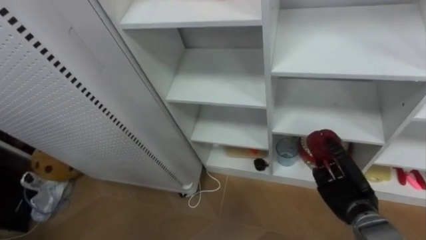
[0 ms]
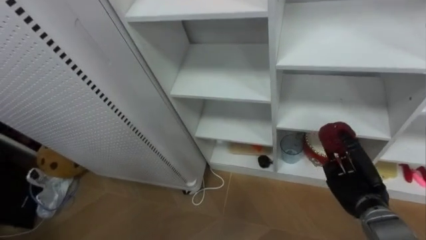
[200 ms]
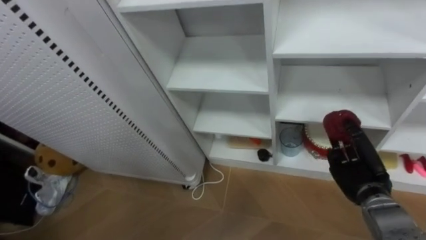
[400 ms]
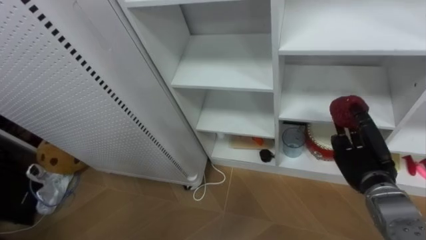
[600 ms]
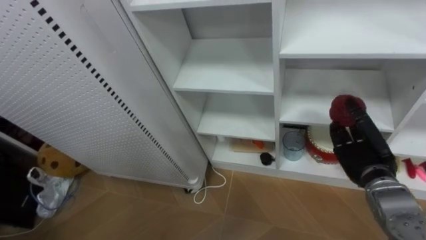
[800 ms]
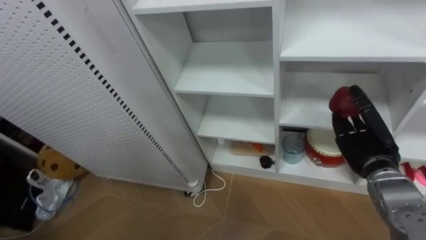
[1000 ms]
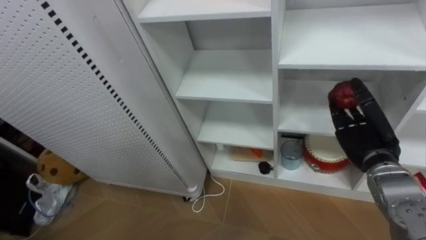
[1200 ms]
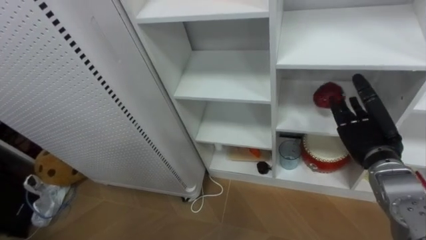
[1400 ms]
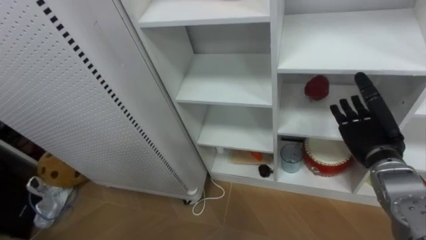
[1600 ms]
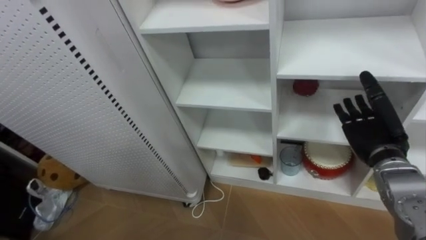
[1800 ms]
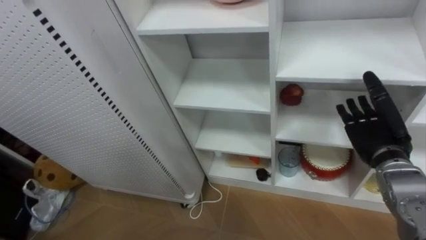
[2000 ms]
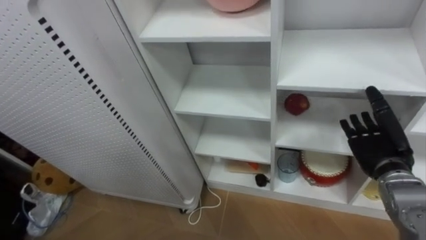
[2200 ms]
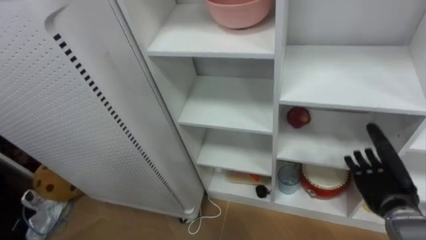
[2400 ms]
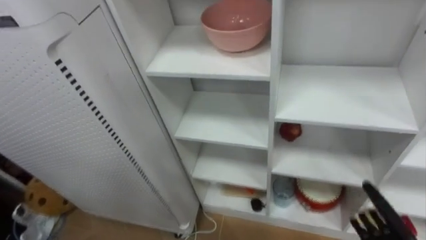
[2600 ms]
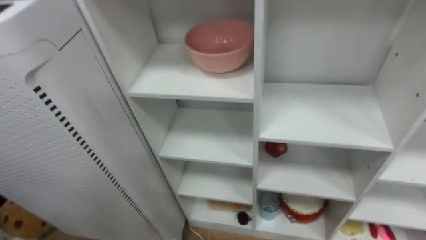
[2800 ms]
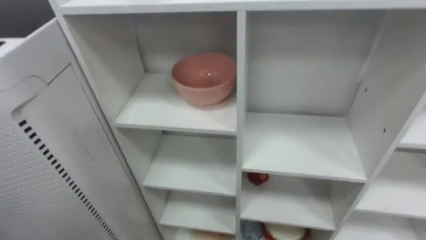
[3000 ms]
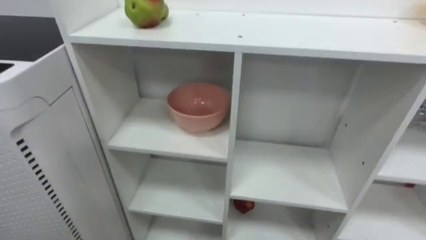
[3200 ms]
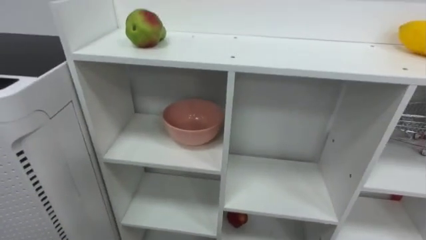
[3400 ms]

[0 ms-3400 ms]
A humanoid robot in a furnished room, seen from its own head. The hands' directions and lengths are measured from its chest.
Task of the whole recording: Put the apple in the cell in the second column from the left and the second row from the top.
0 ms to 1600 ms: The right hand goes approximately 10 cm upward, and opens its fingers.

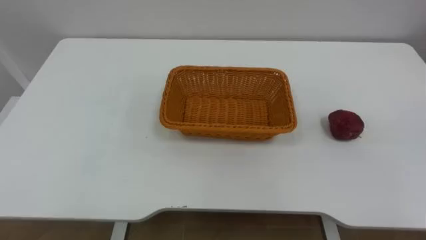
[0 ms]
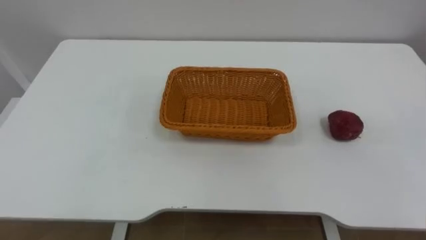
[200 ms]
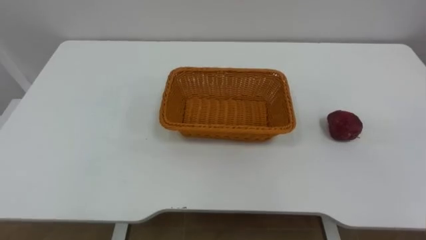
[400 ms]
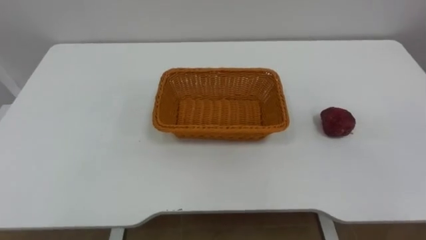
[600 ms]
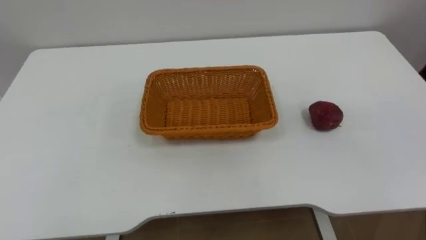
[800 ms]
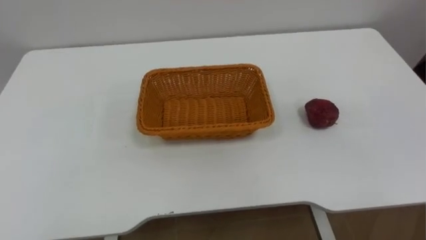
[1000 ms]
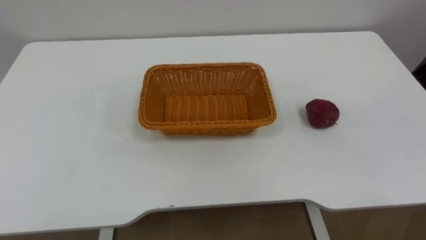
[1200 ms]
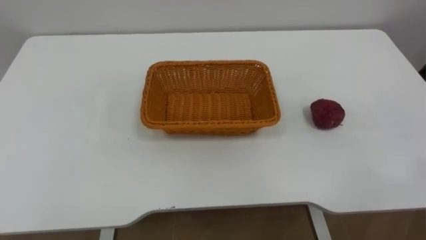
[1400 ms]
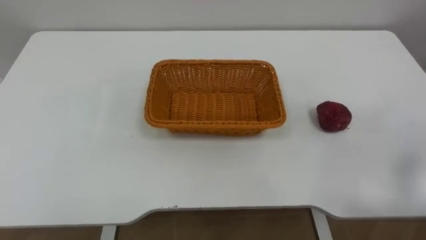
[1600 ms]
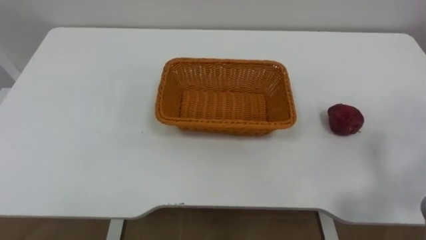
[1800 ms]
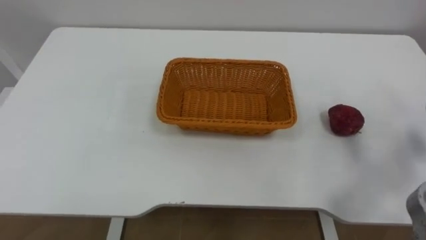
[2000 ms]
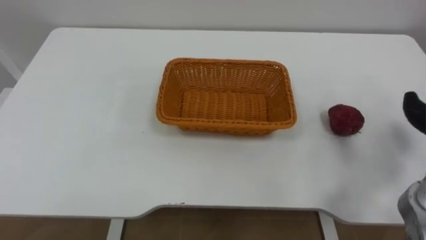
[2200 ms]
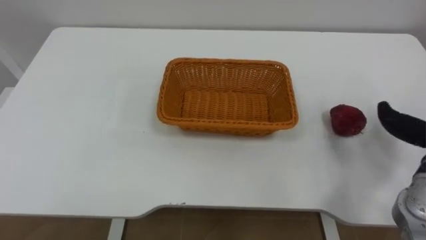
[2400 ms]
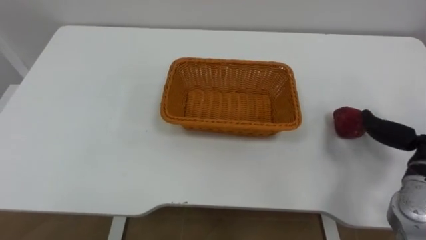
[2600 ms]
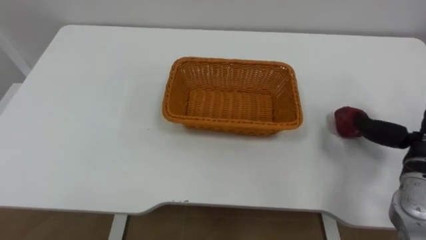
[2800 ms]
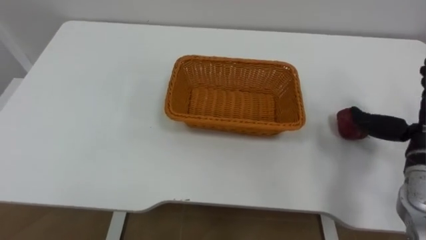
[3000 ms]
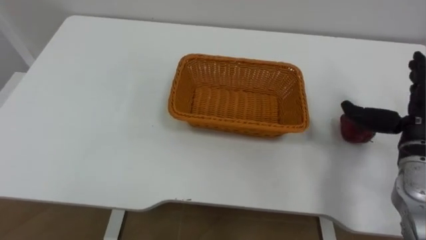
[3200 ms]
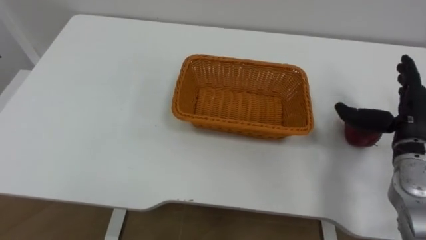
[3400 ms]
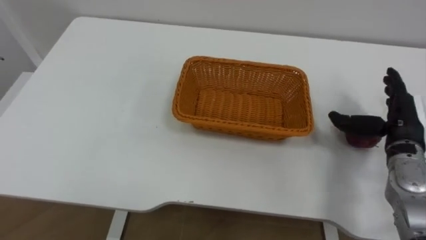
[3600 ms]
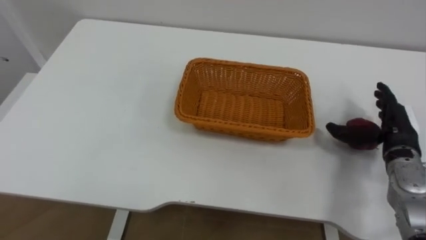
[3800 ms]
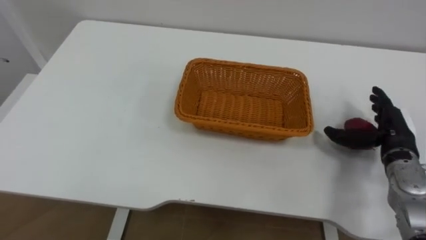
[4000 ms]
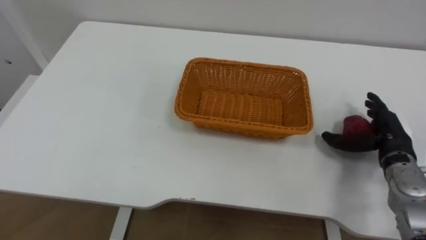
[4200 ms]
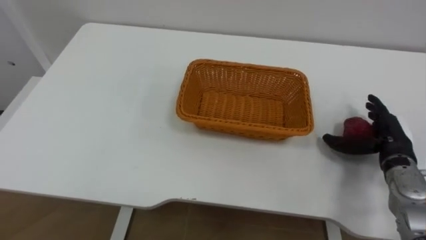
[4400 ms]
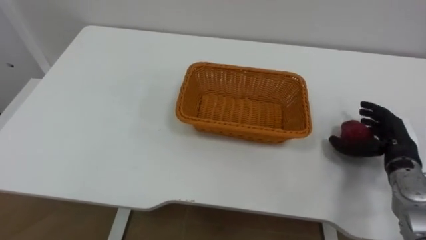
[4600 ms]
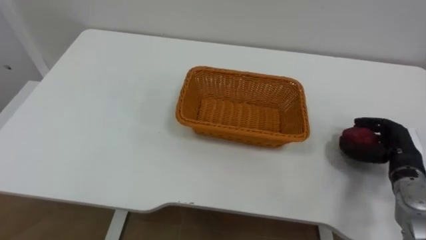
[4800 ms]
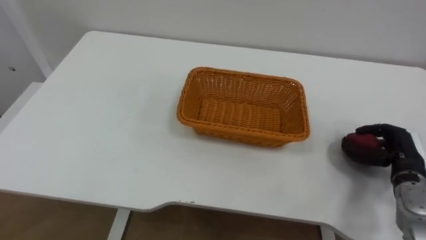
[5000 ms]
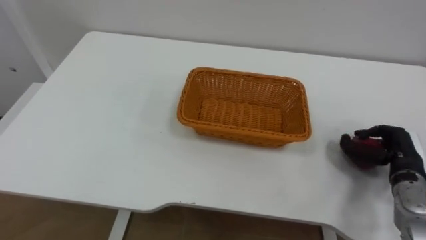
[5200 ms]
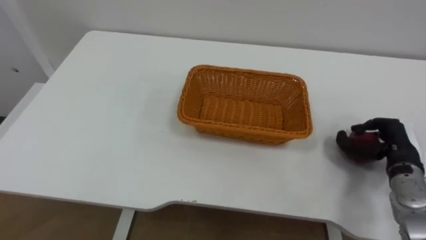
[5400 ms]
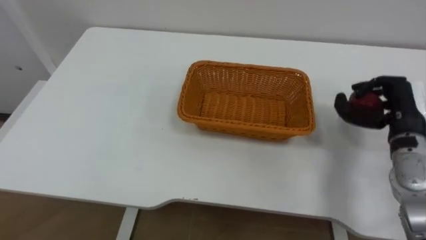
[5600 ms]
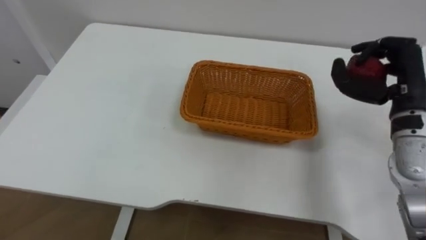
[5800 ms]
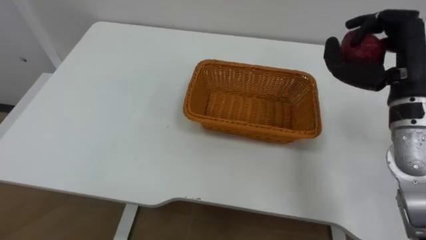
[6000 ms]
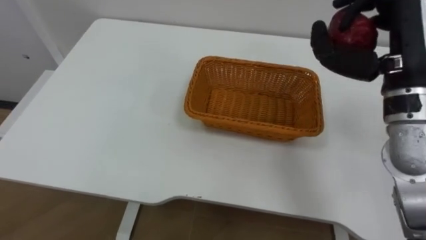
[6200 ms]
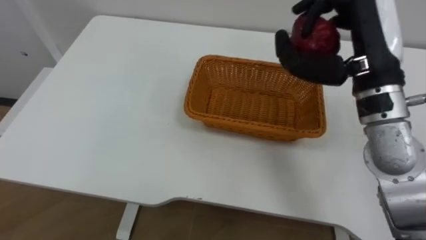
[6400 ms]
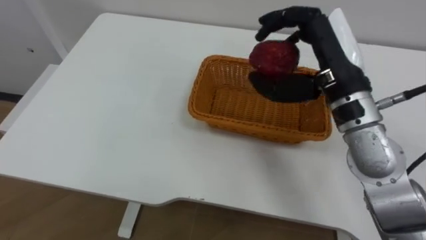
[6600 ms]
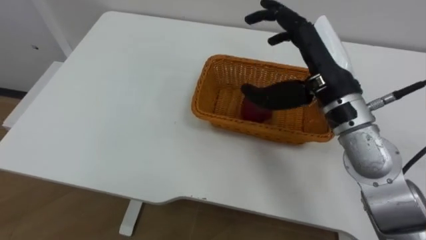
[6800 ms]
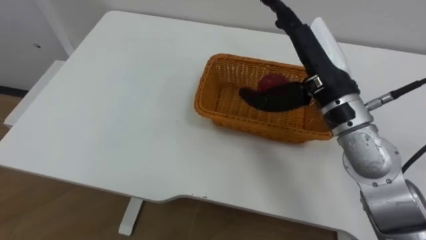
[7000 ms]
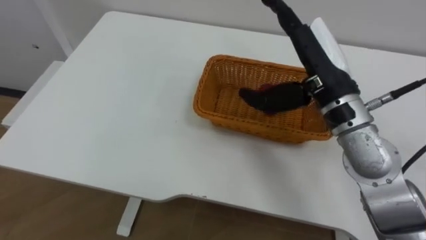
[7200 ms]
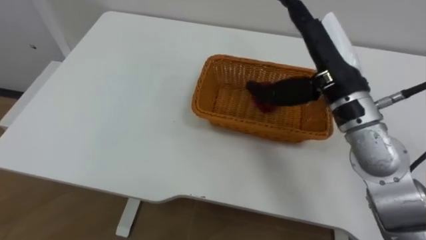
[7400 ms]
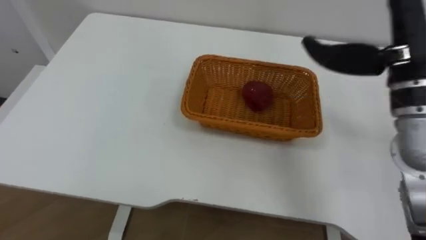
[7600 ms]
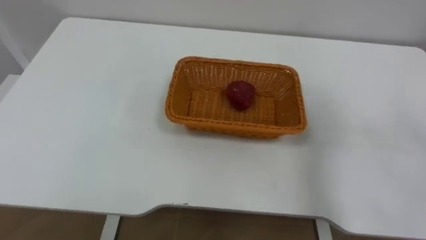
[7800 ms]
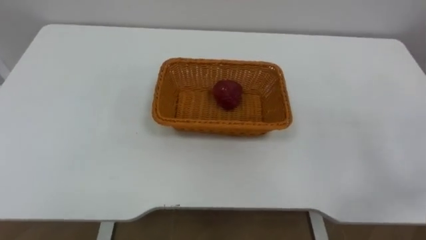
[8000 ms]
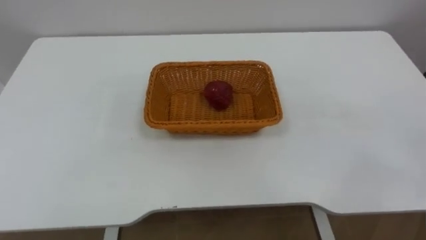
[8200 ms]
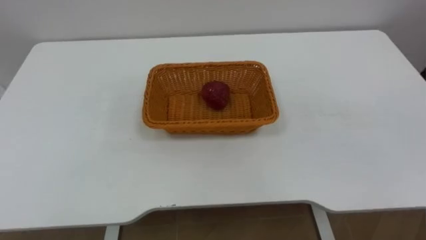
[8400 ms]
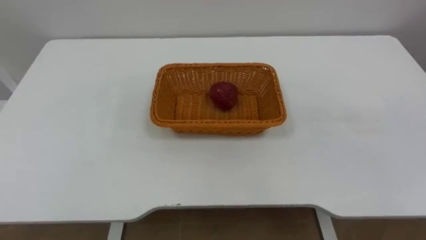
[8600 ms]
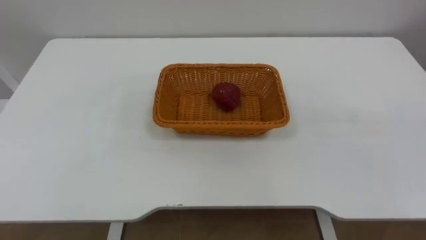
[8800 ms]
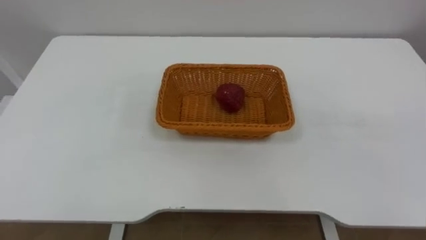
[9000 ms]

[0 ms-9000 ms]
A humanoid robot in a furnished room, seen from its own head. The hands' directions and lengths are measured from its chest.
Task of the whole recording: Pick the apple and place it in the box.
3000 ms to 4400 ms: The right hand moves downward, some 10 cm.
4400 ms to 6000 ms: The right hand heads upward, covering roughly 20 cm, and closes its fingers.
6000 ms to 7600 ms: The right hand travels upward by some 5 cm, and opens.

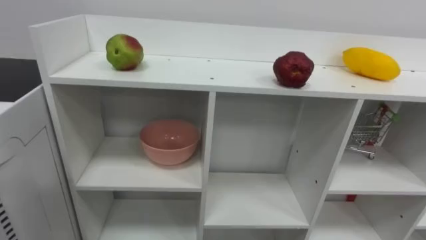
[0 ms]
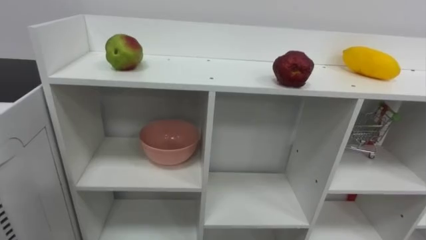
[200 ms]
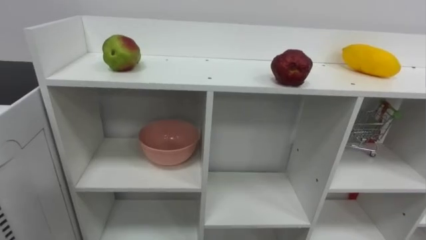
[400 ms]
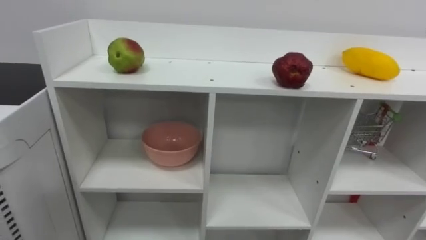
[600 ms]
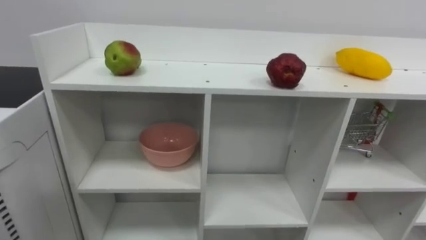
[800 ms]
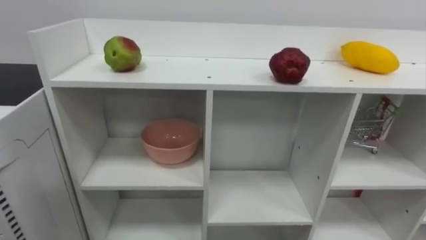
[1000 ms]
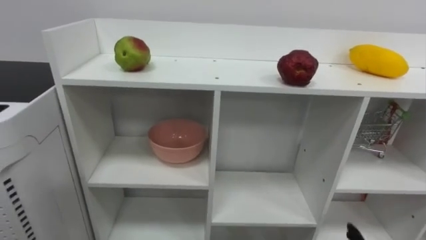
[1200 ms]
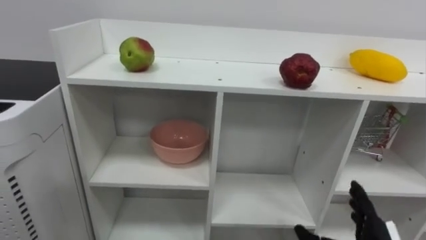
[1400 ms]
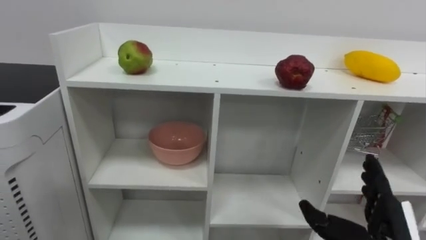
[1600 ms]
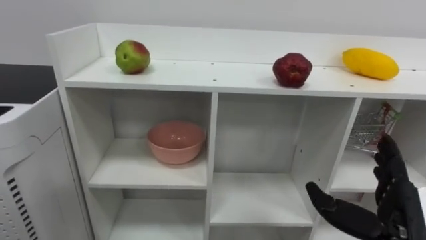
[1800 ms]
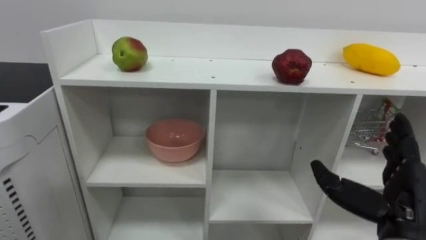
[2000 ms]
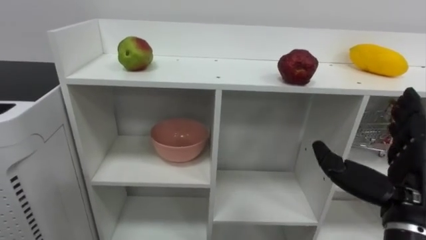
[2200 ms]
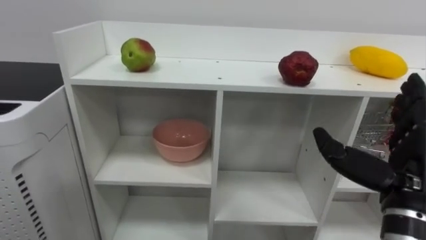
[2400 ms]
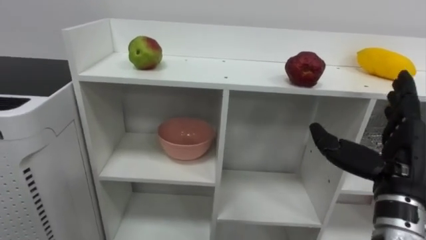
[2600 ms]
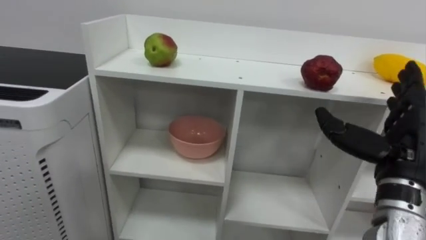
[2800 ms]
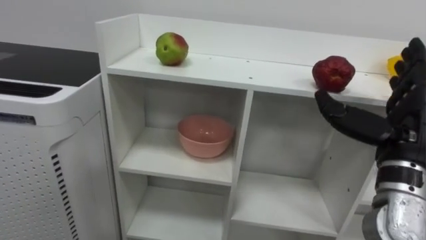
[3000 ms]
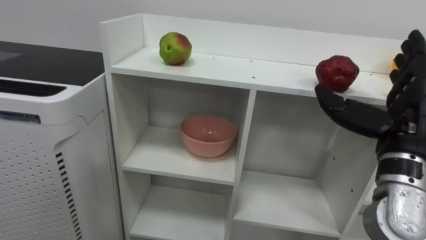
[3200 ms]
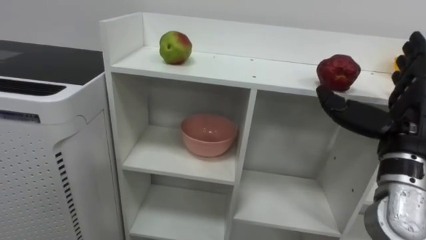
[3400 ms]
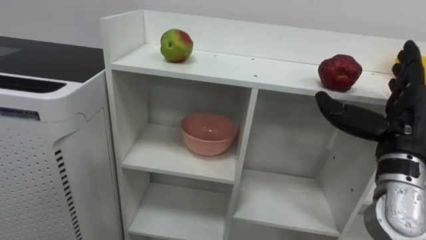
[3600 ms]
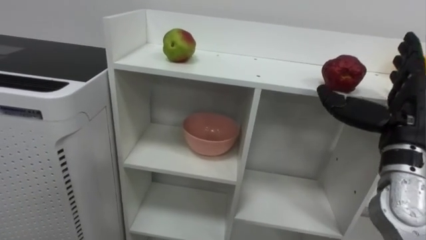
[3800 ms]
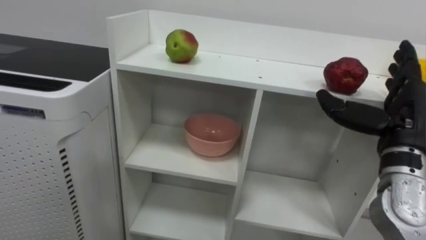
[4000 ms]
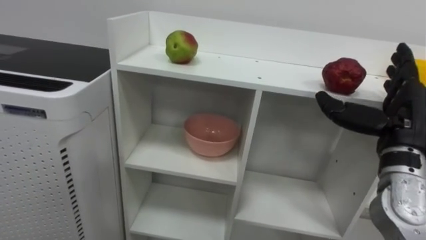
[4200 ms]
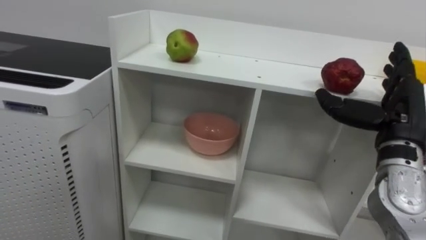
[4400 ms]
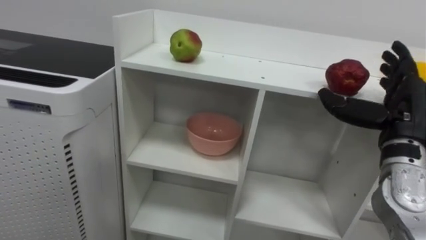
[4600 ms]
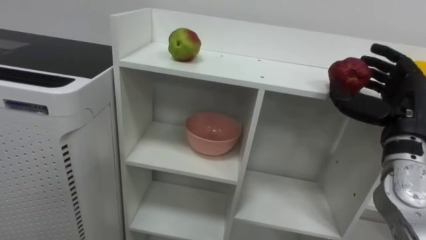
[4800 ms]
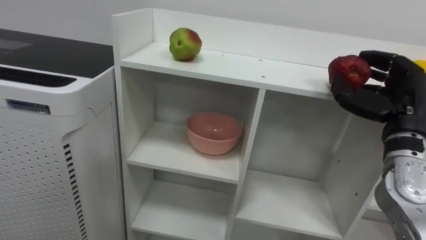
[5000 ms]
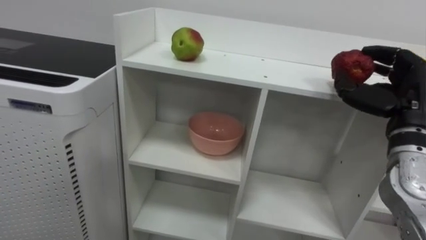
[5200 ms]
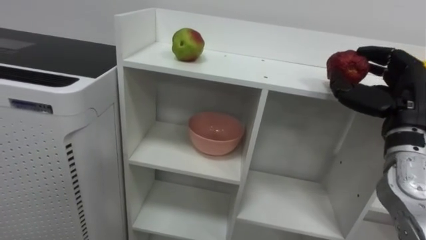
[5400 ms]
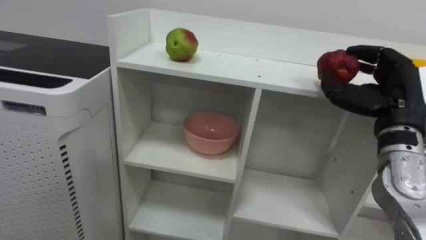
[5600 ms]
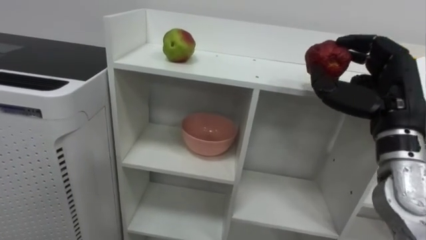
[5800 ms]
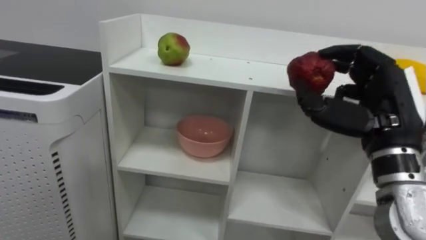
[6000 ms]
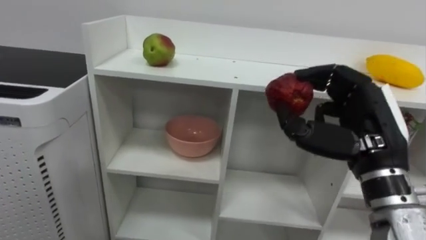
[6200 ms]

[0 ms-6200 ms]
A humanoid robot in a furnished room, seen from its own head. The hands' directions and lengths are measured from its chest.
Task of the whole recording: Put the apple in the cell in the second column from the left and the second row from the top.
1600 ms to 3200 ms: The right hand heads upward, covering about 15 cm.
4600 ms to 6200 ms: The right hand travels to the left and backward by about 10 cm, and closes up.
